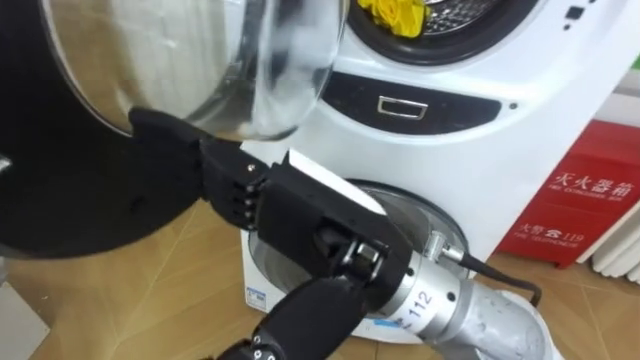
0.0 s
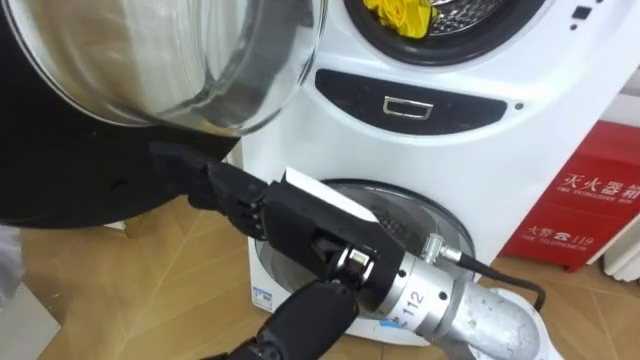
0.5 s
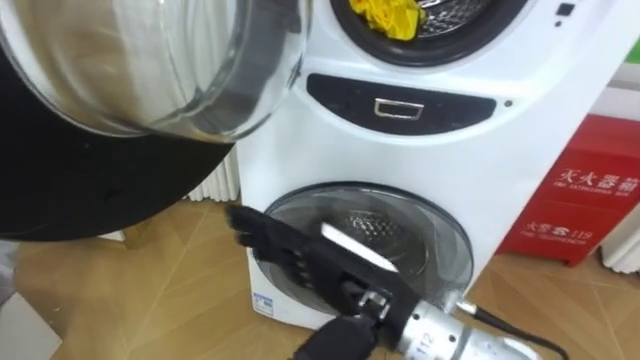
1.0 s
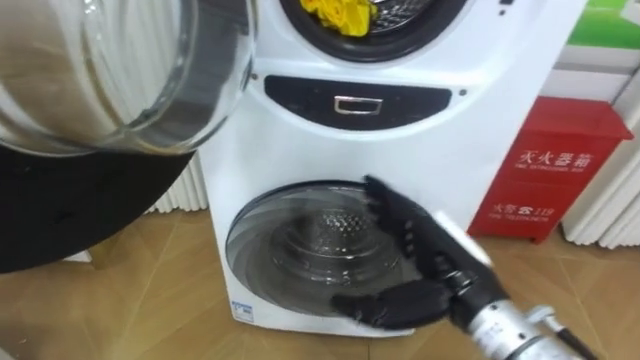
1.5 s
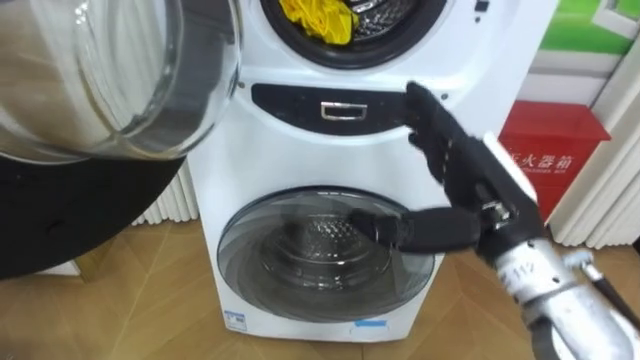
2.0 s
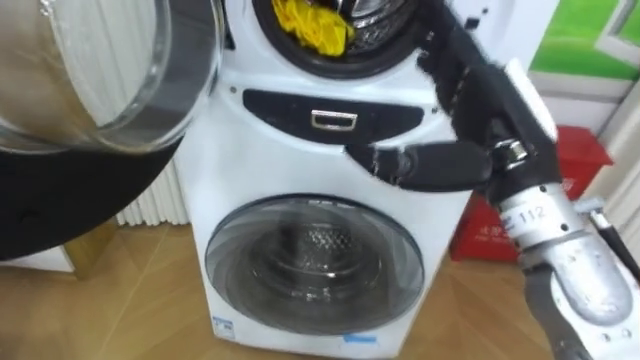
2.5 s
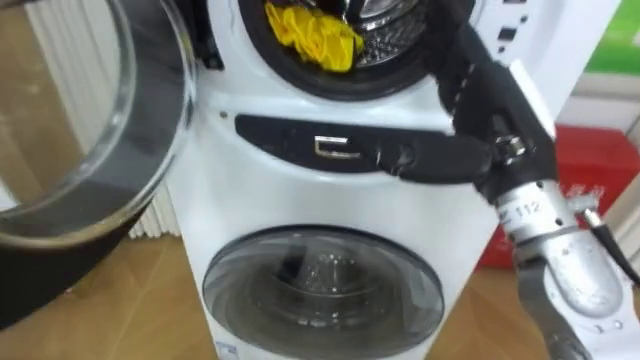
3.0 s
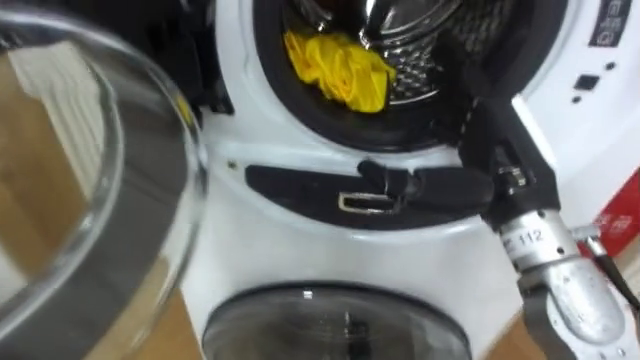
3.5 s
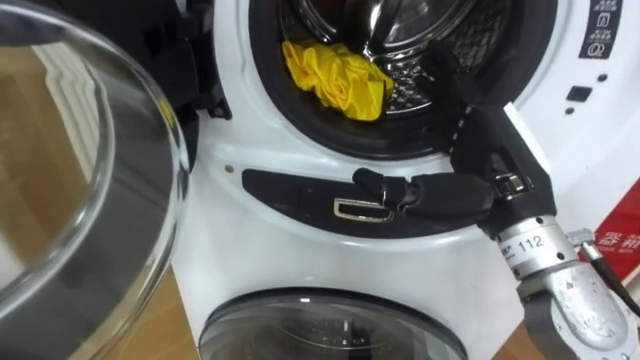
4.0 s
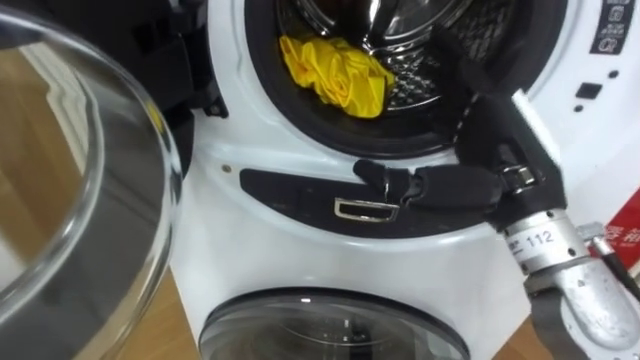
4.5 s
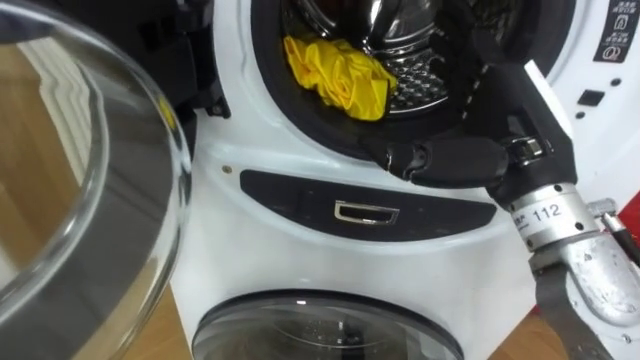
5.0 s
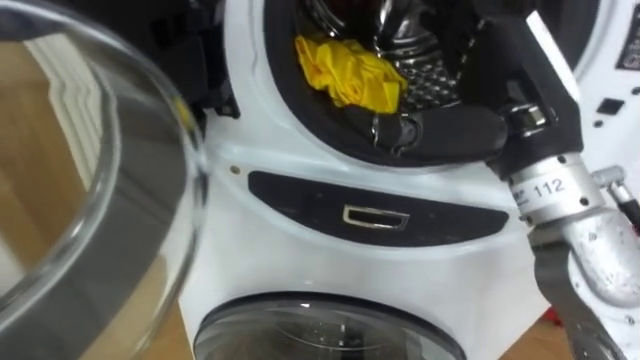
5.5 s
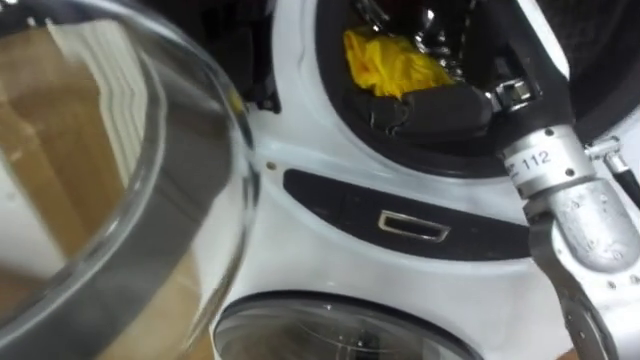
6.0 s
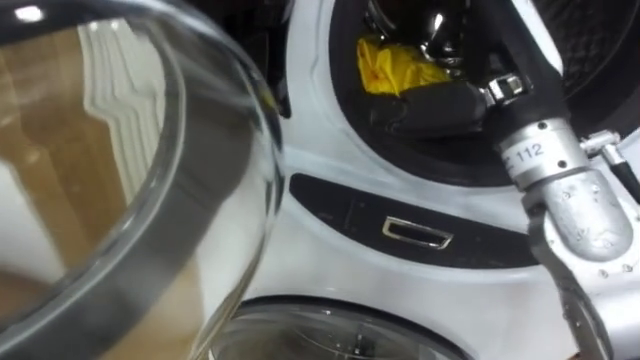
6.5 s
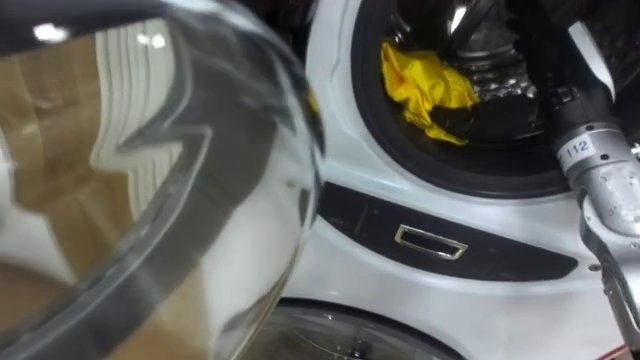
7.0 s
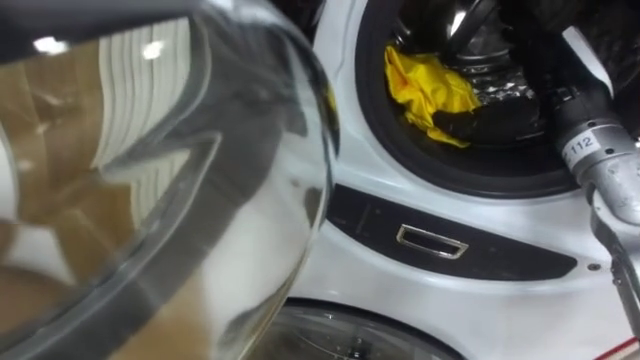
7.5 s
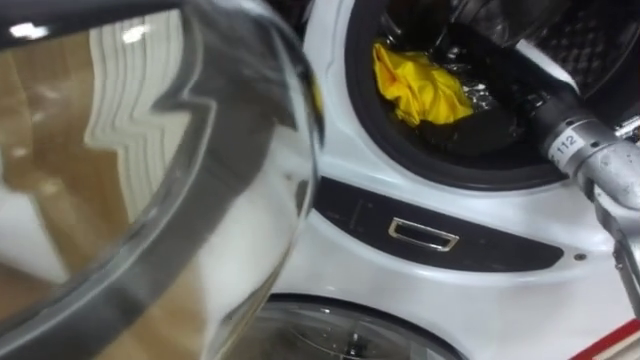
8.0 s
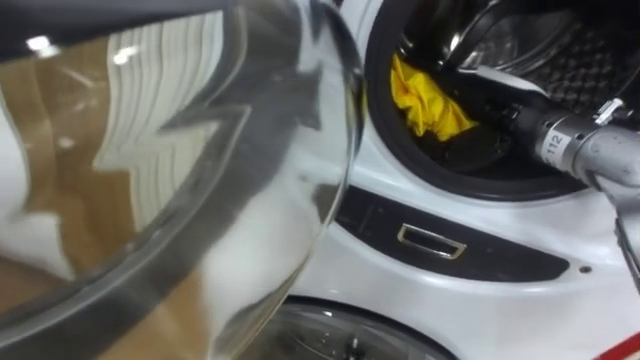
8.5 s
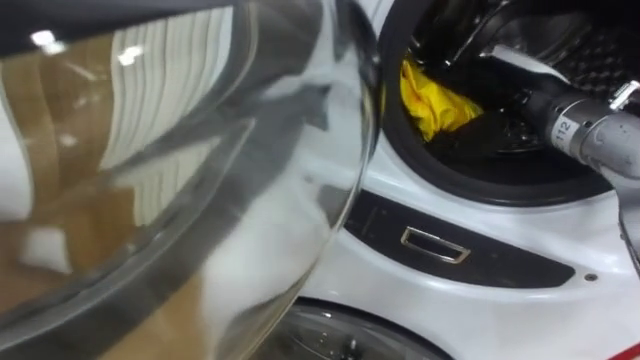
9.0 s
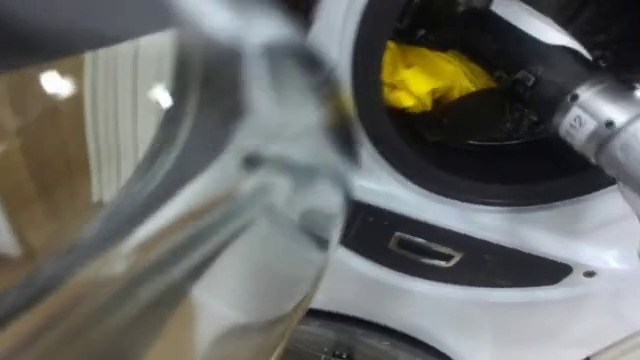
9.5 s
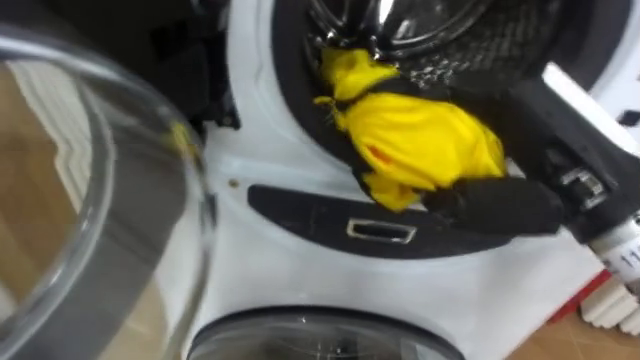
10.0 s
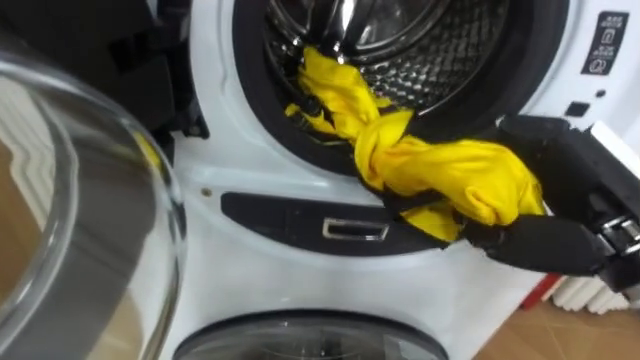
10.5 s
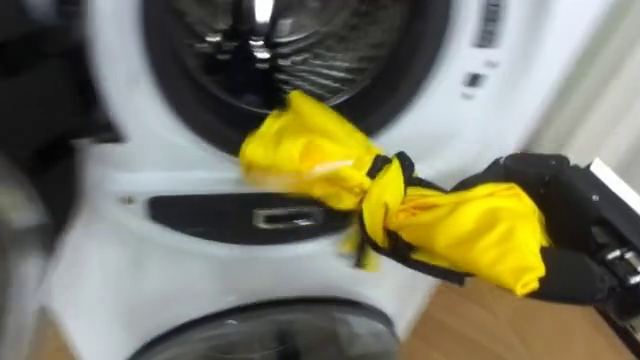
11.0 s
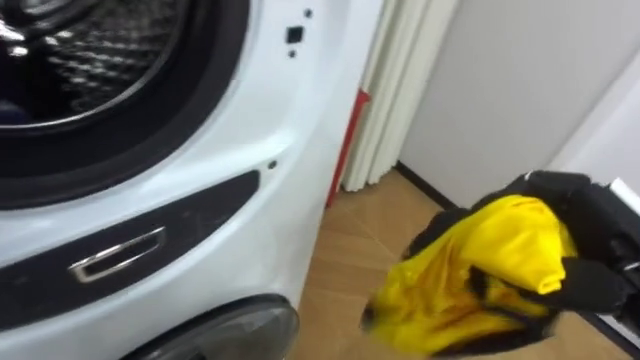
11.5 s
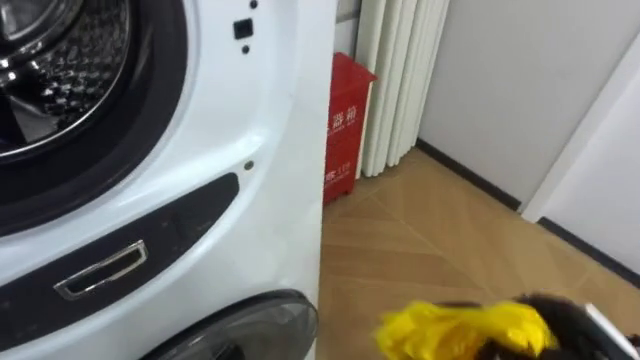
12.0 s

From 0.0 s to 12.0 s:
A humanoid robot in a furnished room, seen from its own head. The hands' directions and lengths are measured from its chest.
Task of the whole recording: Open the washing machine door, take out the yellow clothes, place them in the box on the right, and close the washing machine door.
From 0.0 s to 2.0 s: The right hand goes roughly 15 cm to the right and forward.
From 4.0 s to 6.0 s: The right hand goes approximately 10 cm upward.
From 6.0 s to 8.0 s: The right hand shifts about 10 cm forward, downward and to the right.
From 8.0 s to 10.0 s: The right hand moves backward, about 15 cm, and closes its fingers.
From 10.0 s to 12.0 s: The robot's body swings some 30 degrees to its right. The right hand goes roughly 30 cm downward and to the right.

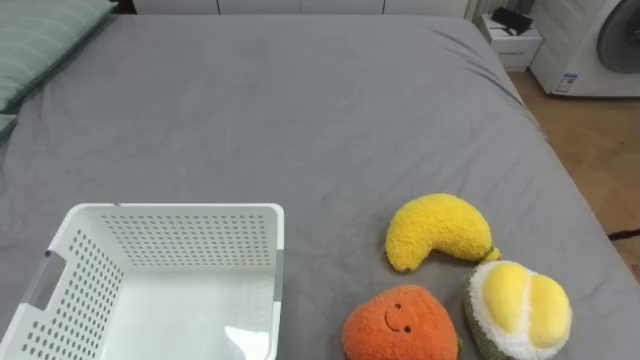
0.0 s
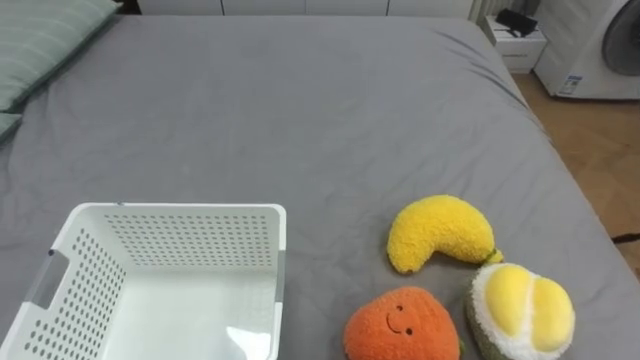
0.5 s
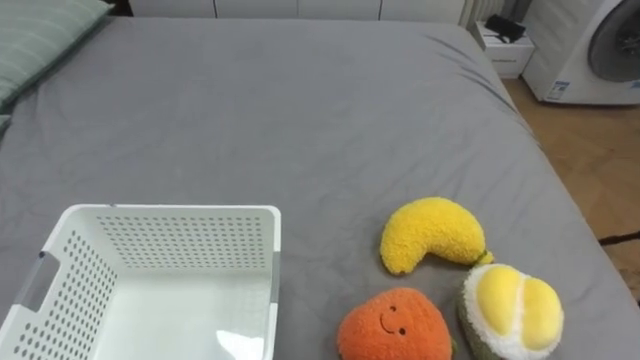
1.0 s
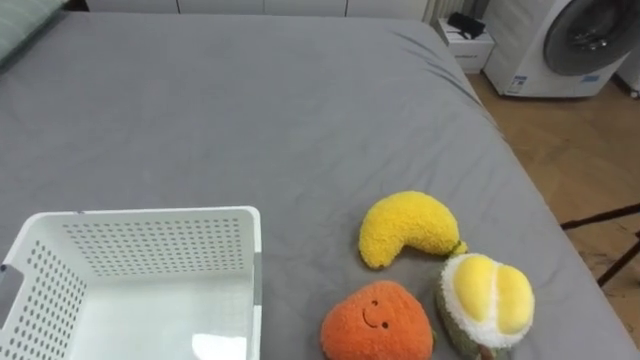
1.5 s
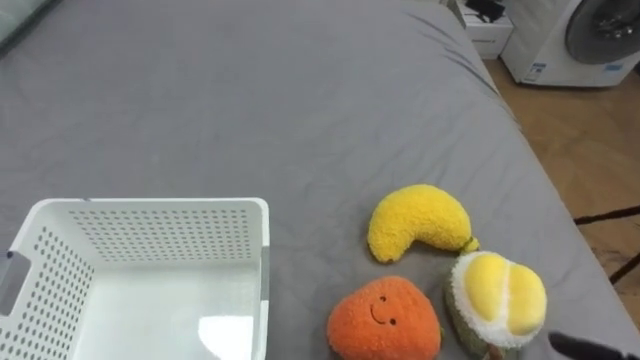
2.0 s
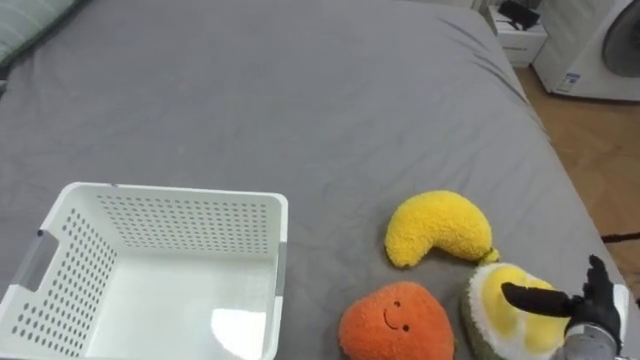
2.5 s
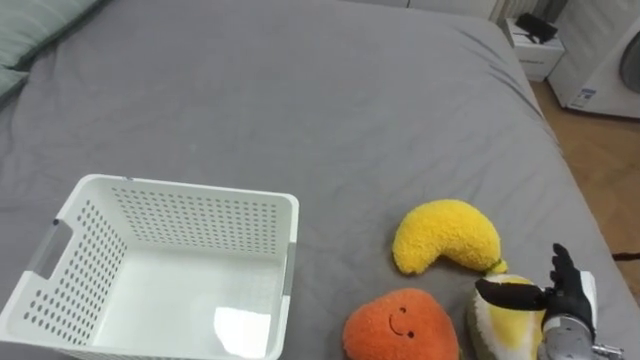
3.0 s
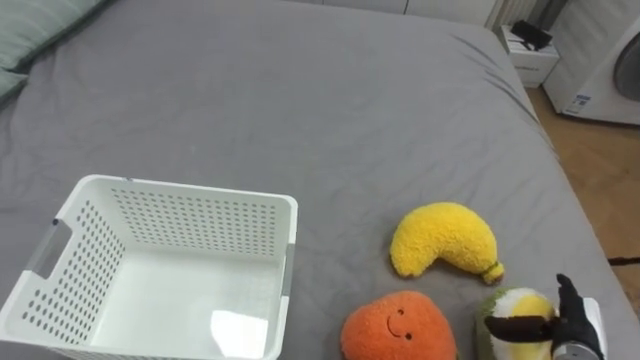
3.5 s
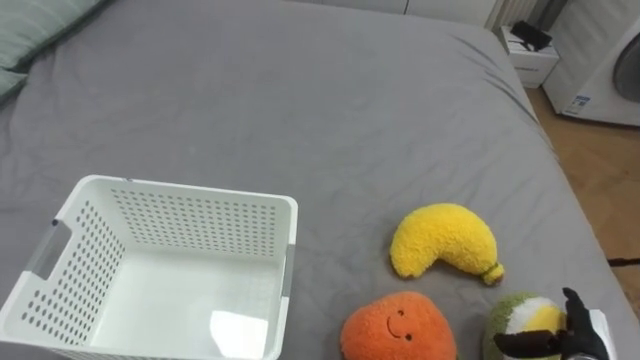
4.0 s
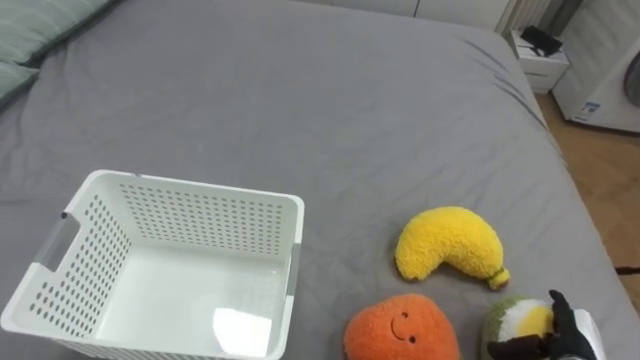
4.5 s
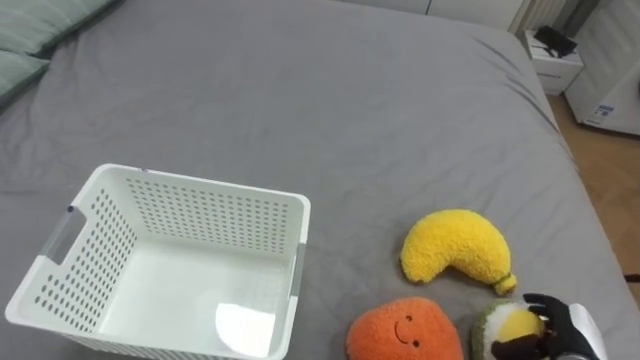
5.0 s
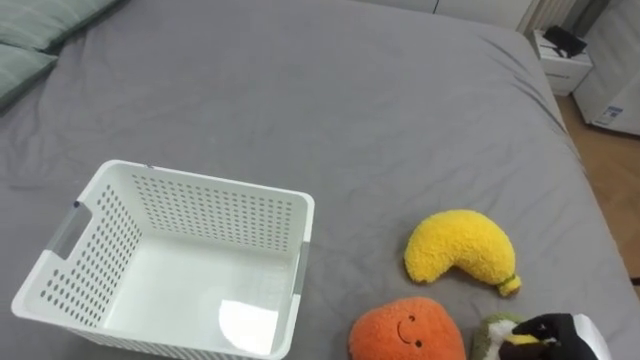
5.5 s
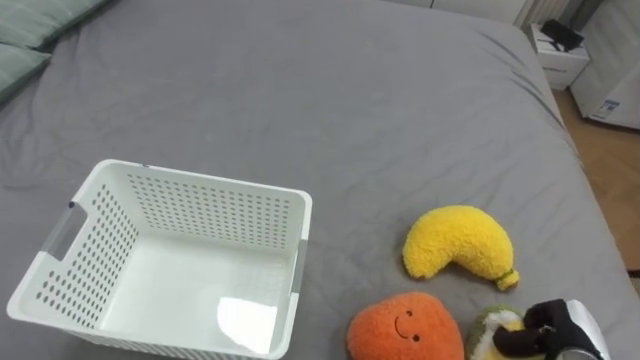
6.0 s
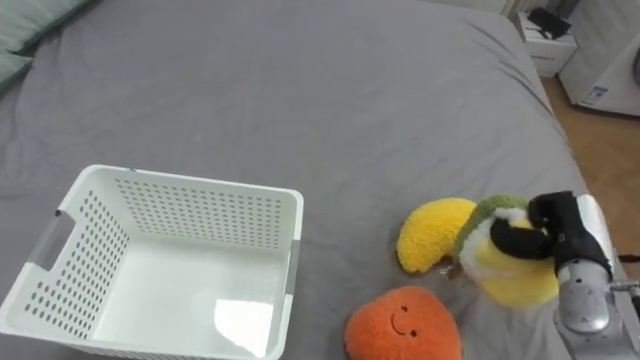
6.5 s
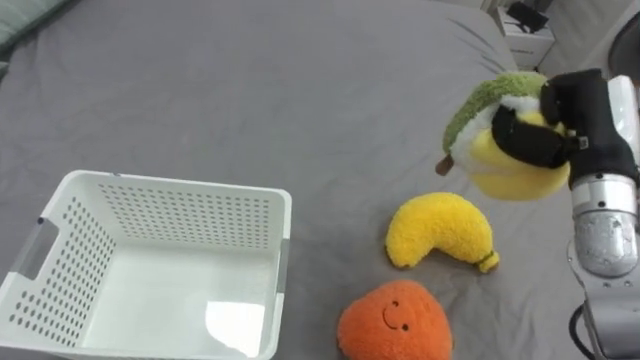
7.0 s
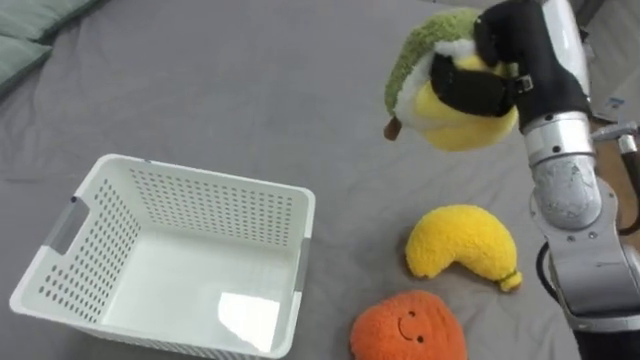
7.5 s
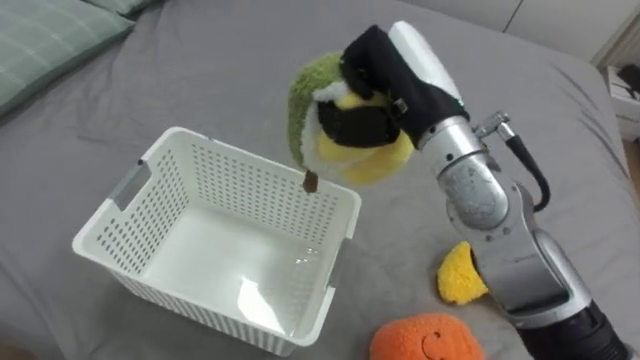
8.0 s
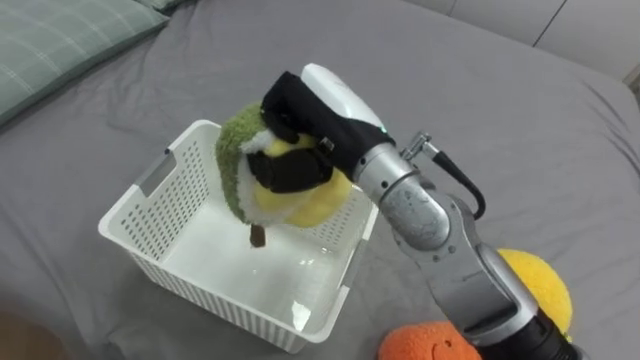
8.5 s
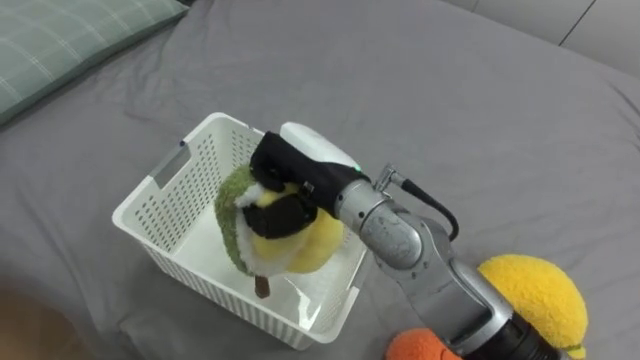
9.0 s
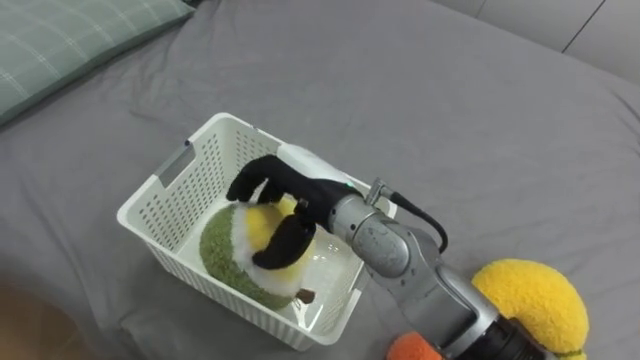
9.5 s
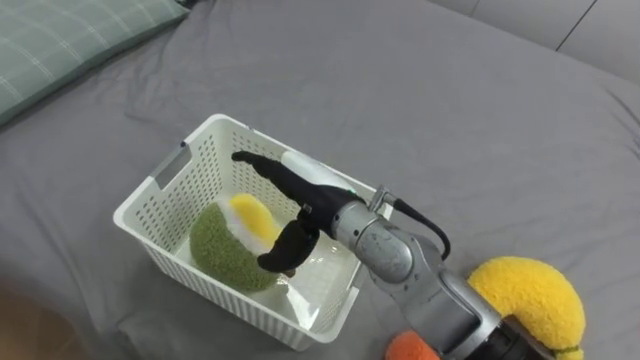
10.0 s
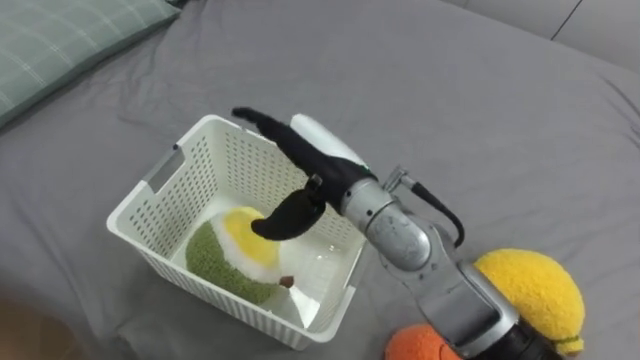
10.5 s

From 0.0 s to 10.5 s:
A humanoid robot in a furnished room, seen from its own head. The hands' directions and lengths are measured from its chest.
Task of the whole recording: Put the toys on the bed into the basket on the left.
From 4.0 s to 6.5 s: The right hand travels upward and forward by some 15 cm, and closes up.
From 6.5 s to 8.5 s: The right hand heads to the left and upward, covering about 35 cm.
From 8.5 s to 10.5 s: The right hand is displaced downward by roughly 5 cm, and opens.
